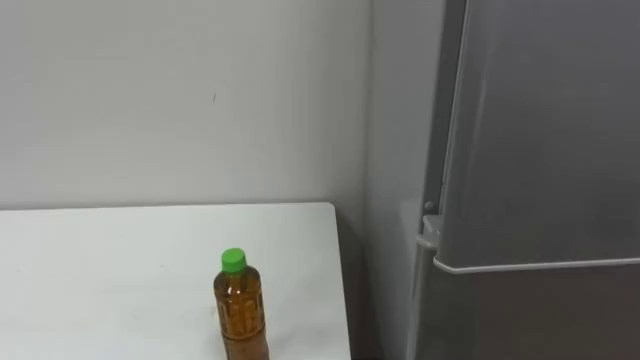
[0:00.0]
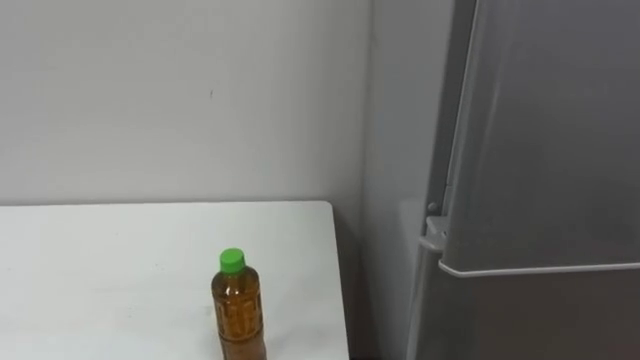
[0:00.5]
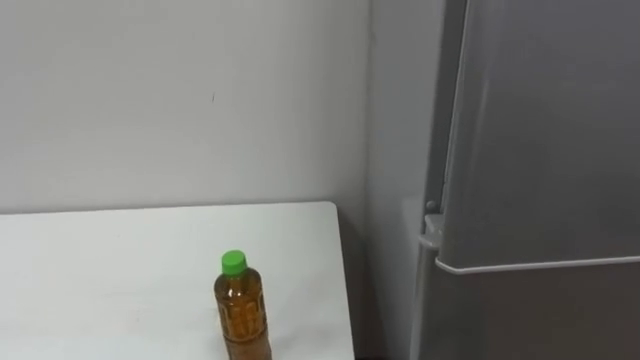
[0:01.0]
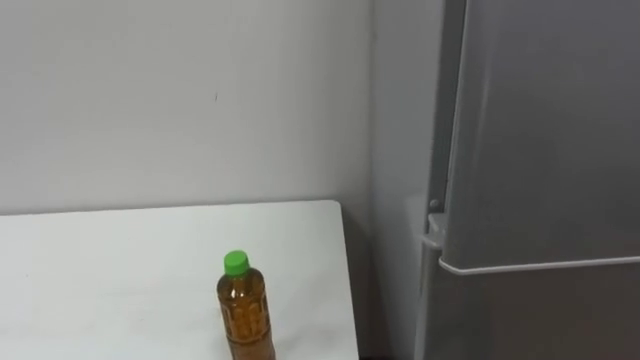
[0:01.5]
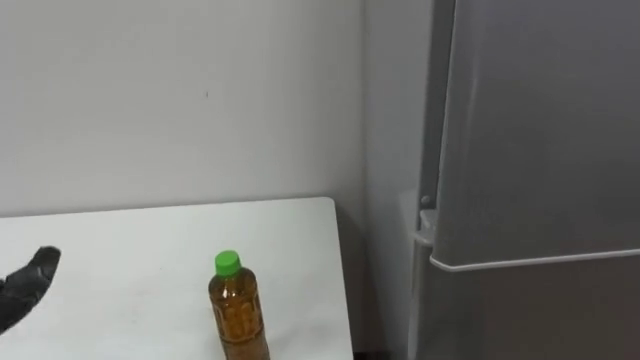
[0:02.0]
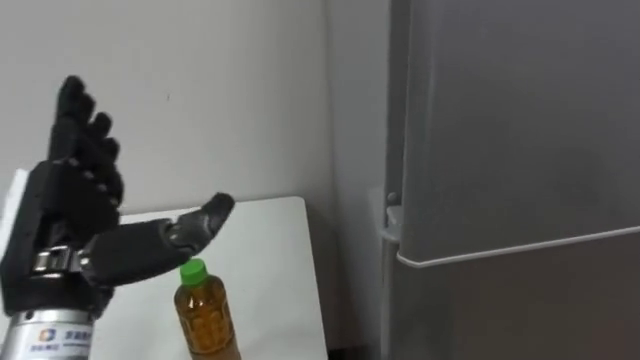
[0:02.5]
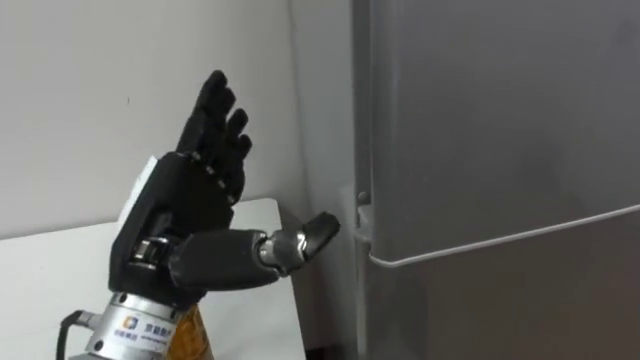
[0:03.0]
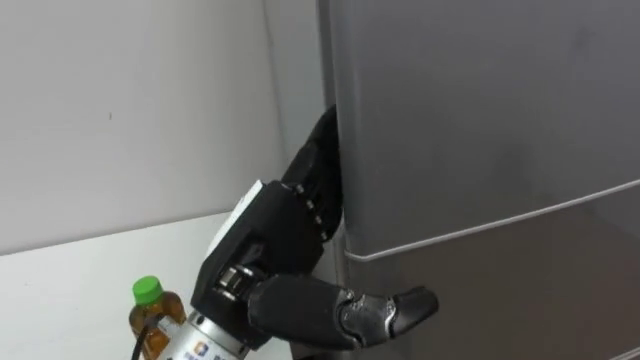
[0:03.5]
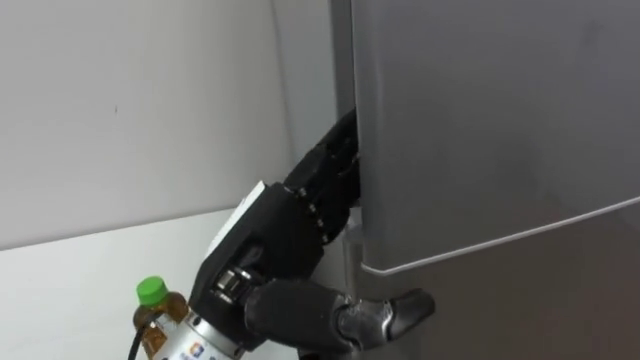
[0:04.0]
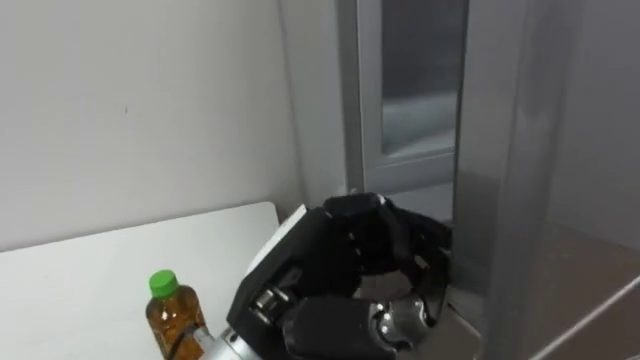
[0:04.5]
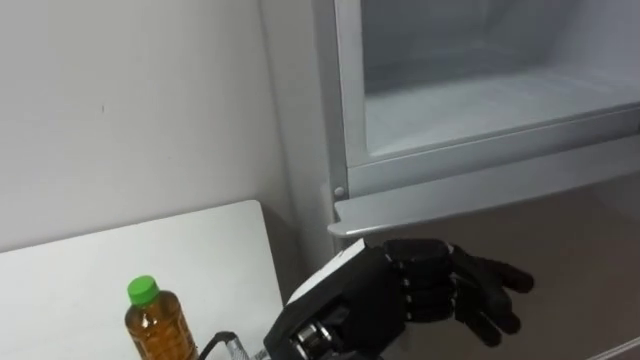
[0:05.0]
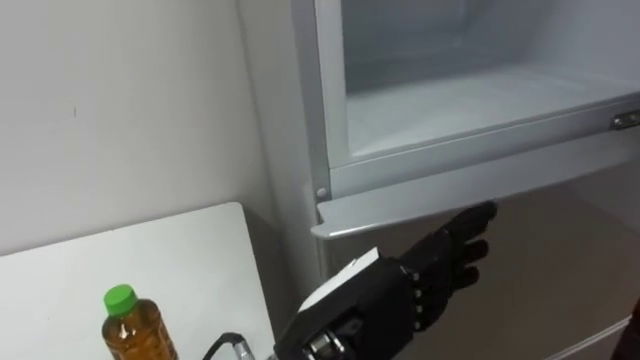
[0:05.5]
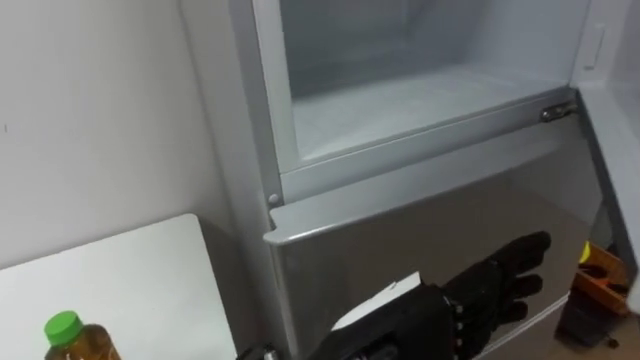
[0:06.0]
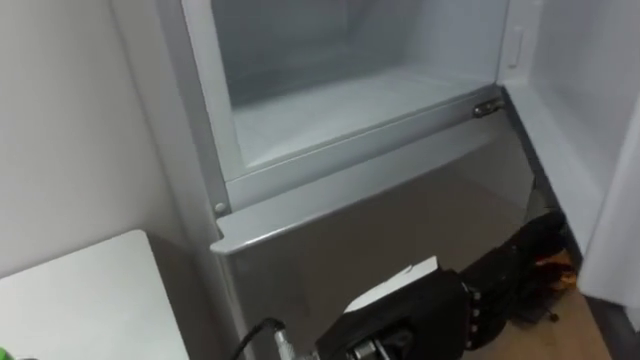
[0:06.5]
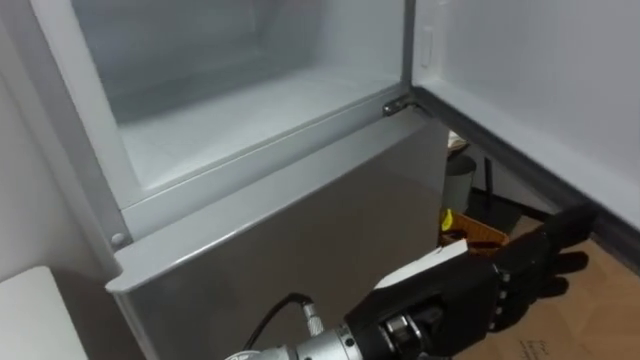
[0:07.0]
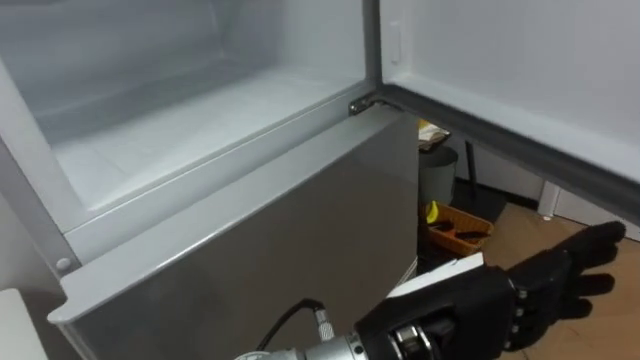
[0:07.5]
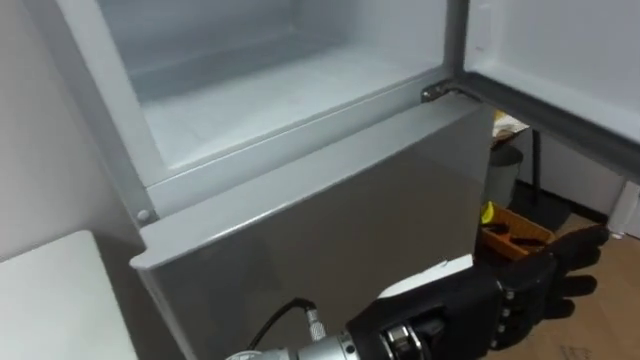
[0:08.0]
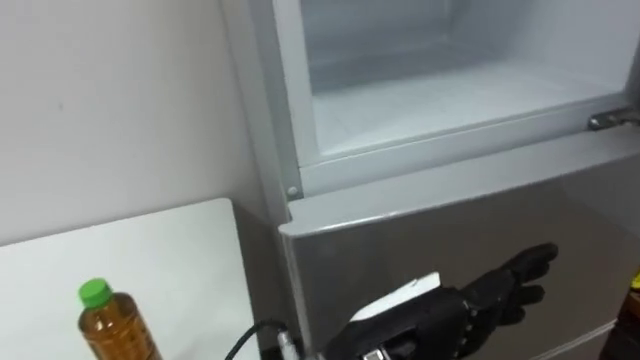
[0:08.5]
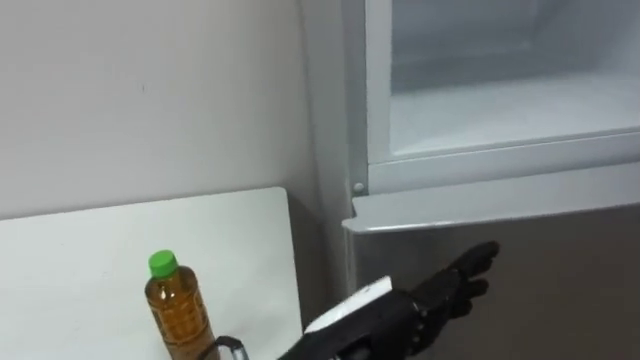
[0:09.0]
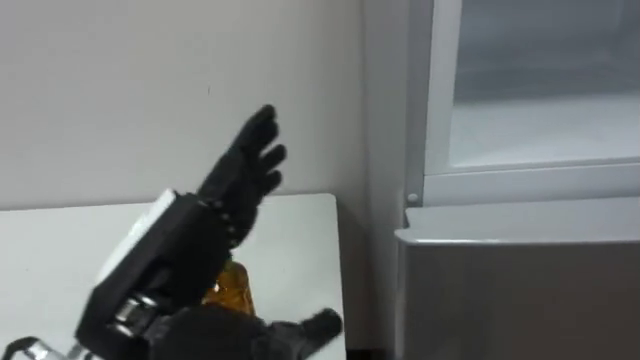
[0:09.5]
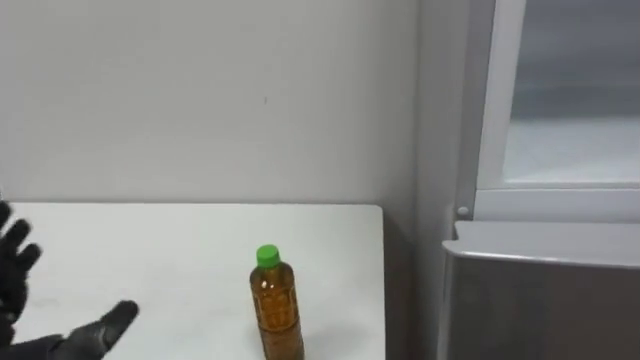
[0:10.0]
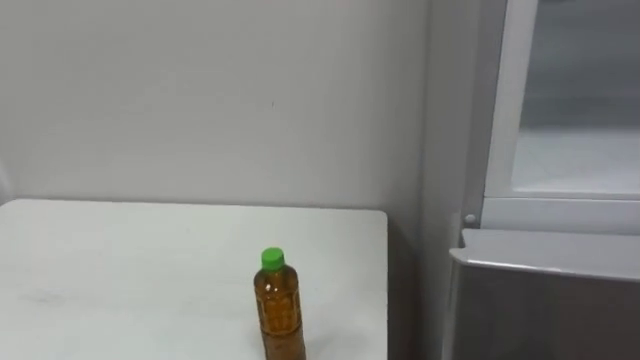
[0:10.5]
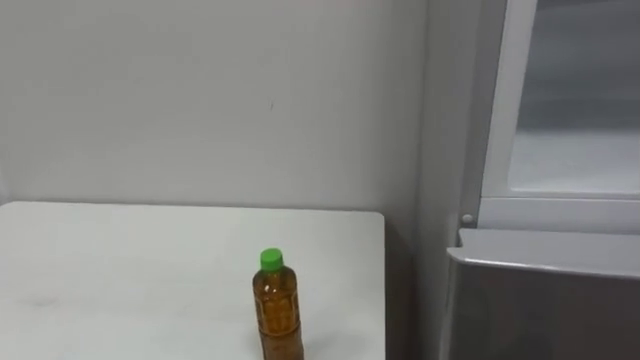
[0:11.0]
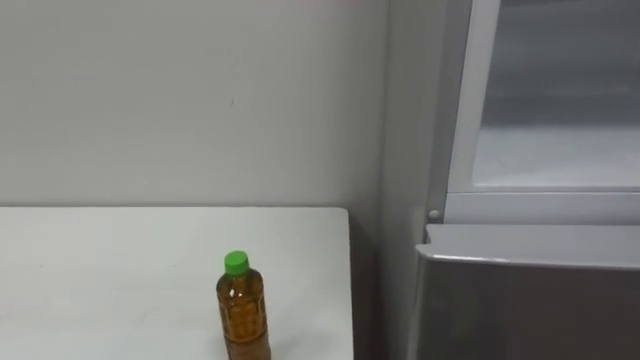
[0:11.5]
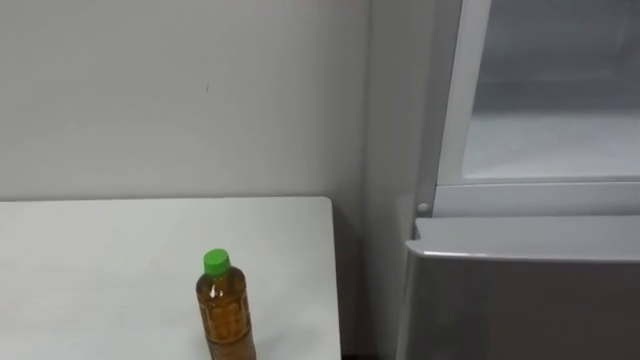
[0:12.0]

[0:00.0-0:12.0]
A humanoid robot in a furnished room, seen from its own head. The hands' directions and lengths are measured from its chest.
Task of the whole recording: Open the upper refrigerator door, put the drink from the table into the refrigerator, and then close the refrigerator door.
0:04.0 to 0:06.0: The left hand shifts roughly 10 cm to the right, and closes and opens again.

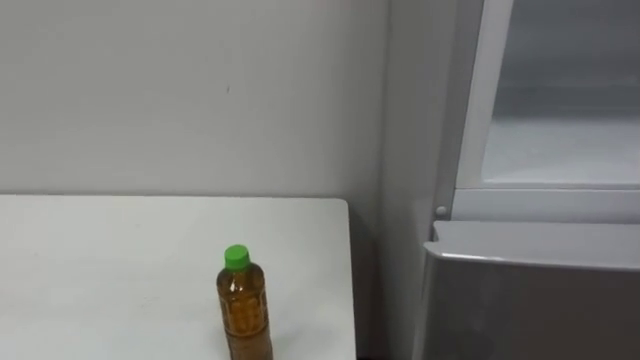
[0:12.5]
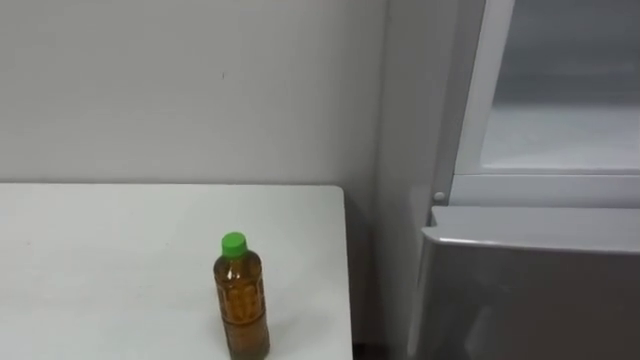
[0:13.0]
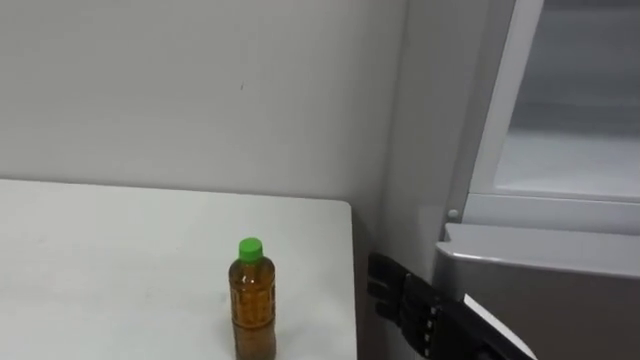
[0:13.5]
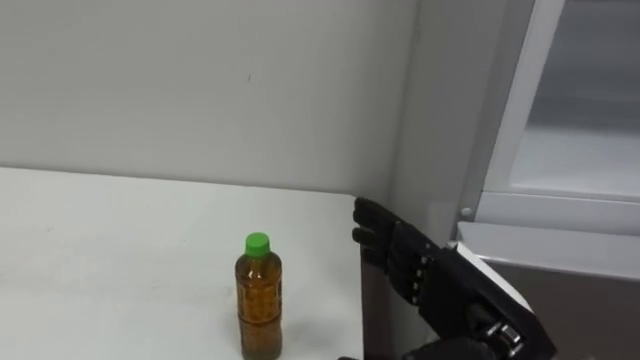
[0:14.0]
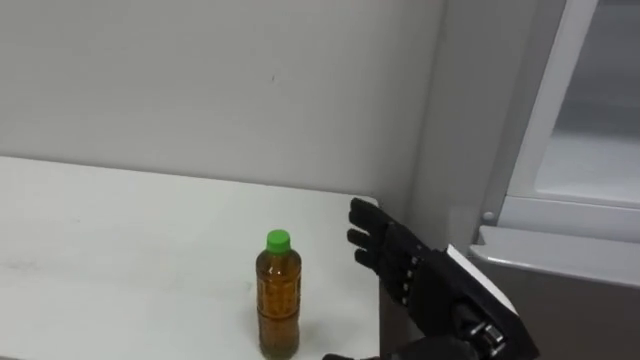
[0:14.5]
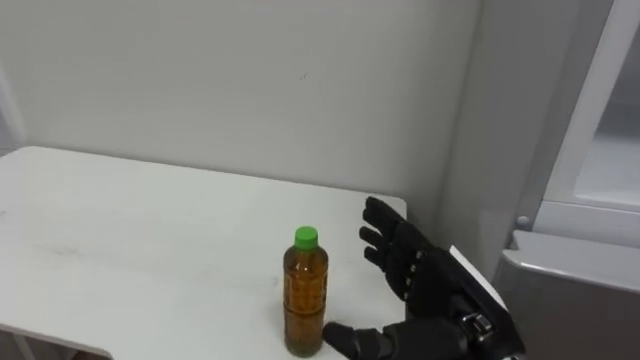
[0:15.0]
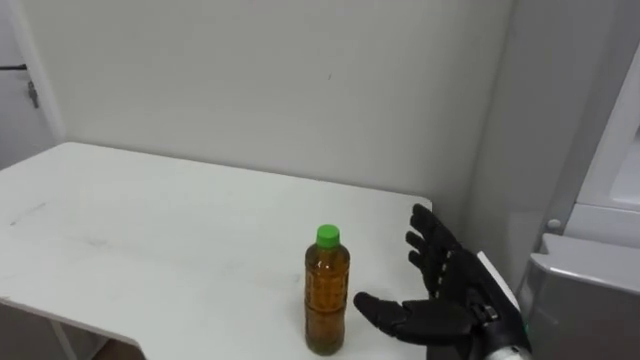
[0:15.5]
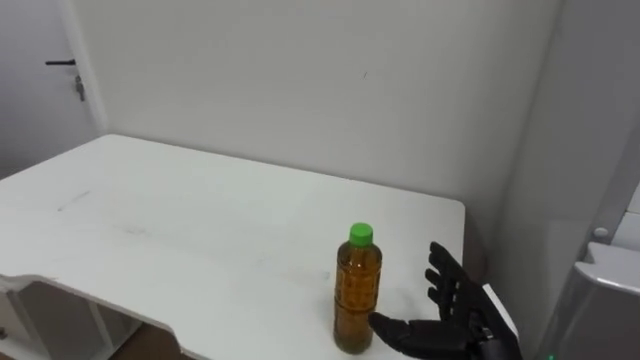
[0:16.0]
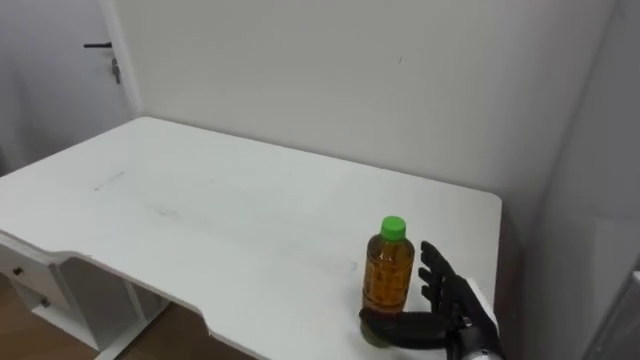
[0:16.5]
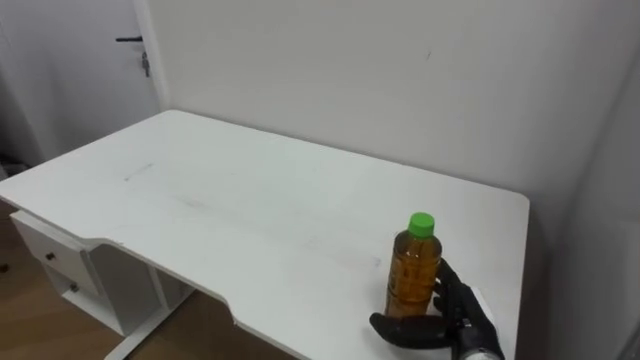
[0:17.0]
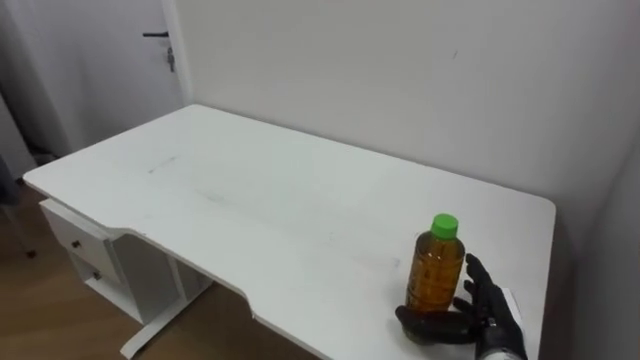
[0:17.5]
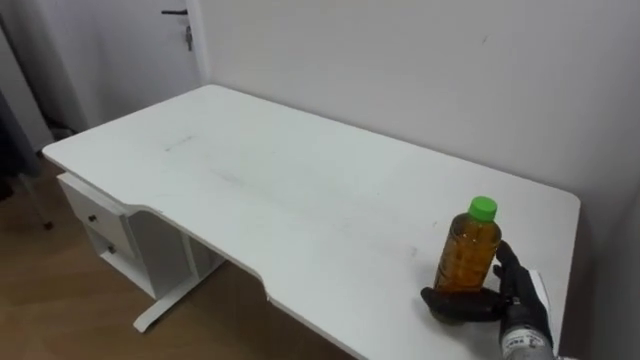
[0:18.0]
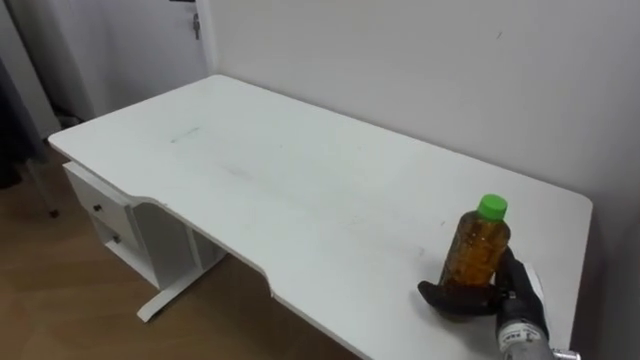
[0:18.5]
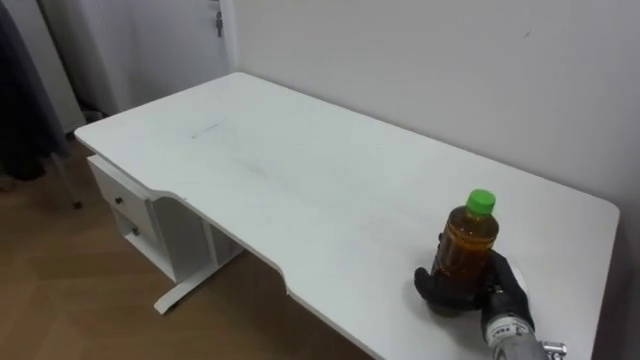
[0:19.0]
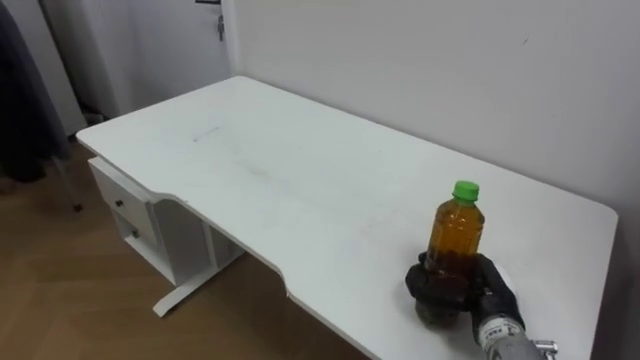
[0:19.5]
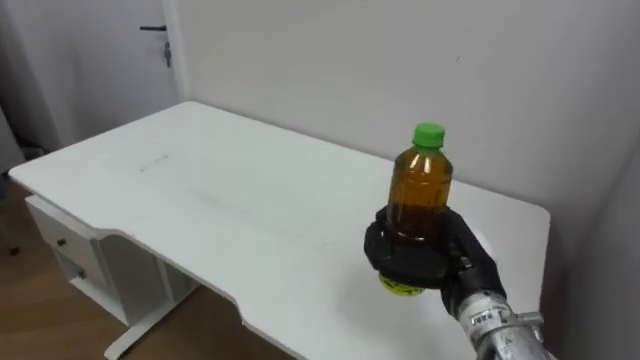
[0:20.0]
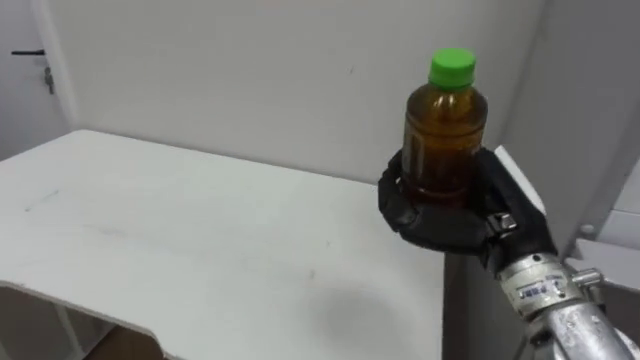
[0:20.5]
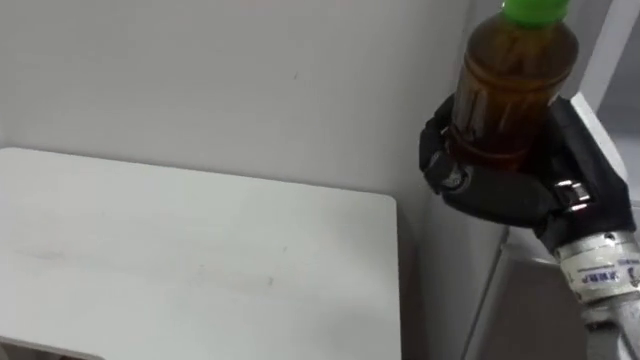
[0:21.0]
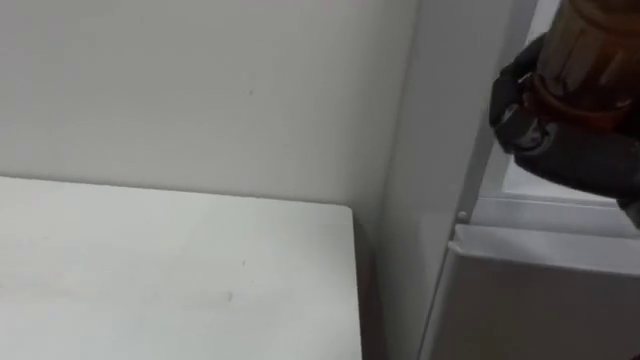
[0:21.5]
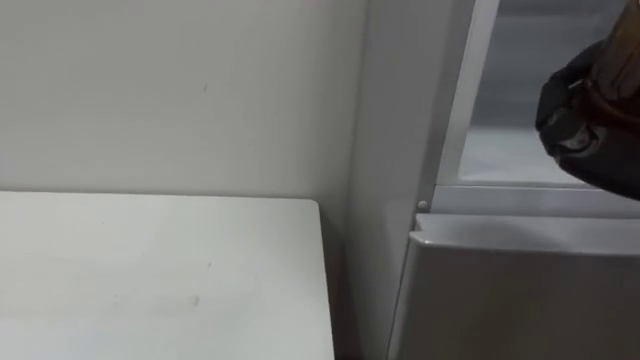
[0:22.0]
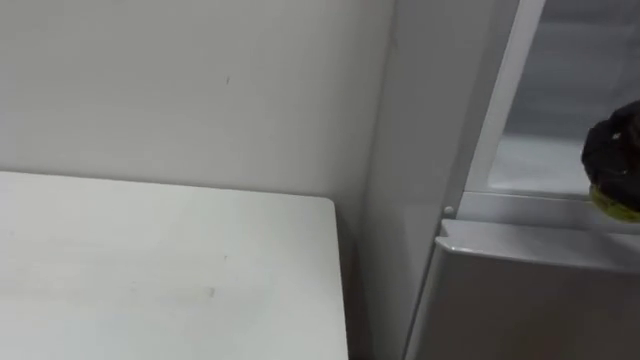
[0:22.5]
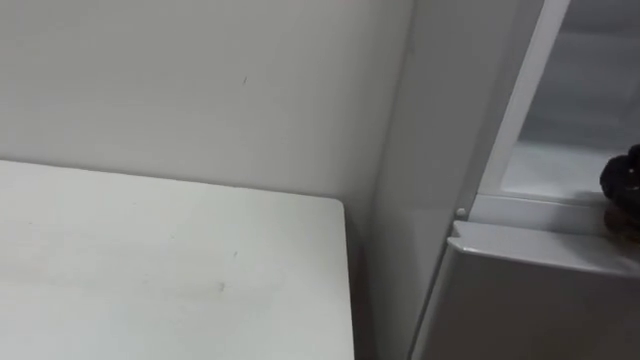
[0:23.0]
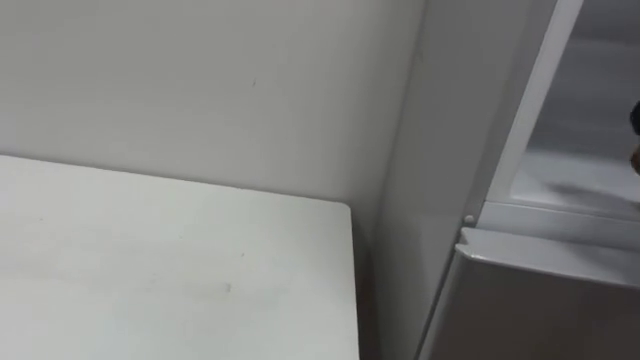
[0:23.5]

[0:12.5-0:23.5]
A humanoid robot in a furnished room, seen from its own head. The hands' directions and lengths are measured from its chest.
Task of the whole recording: Open the upper refrigerator door, put the drink from the table into the refrigerator, and then close the refrigerator door.
0:14.5 to 0:16.0: The right hand travels downward and forward by approximately 10 cm.
0:16.0 to 0:18.0: The right hand moves to the right, about 5 cm.
0:18.0 to 0:20.0: The right hand shifts approximately 15 cm upward and to the left, and closes.
